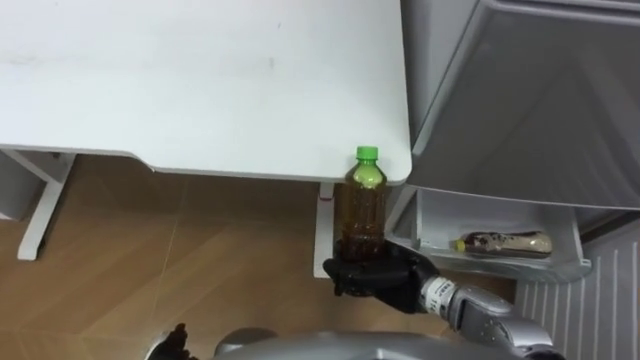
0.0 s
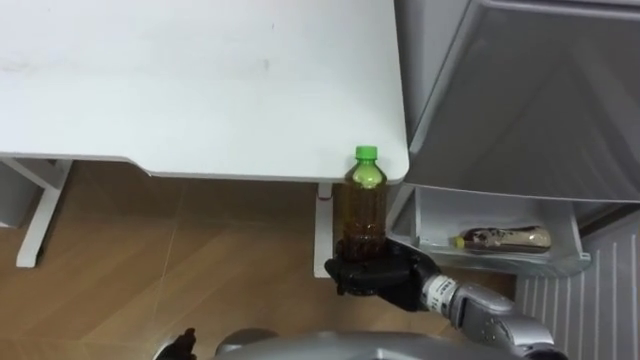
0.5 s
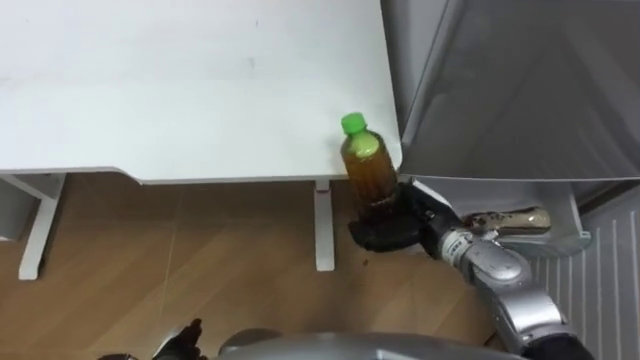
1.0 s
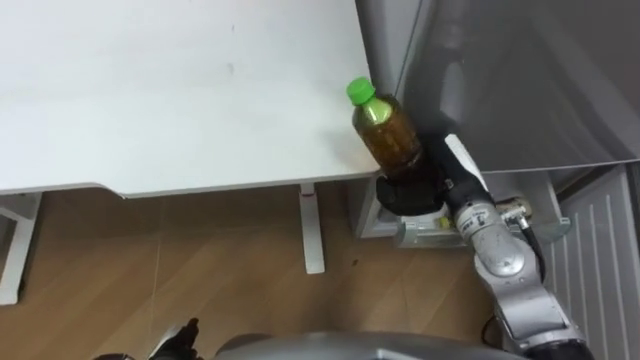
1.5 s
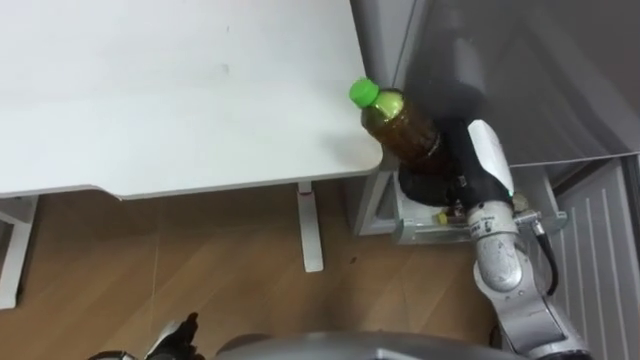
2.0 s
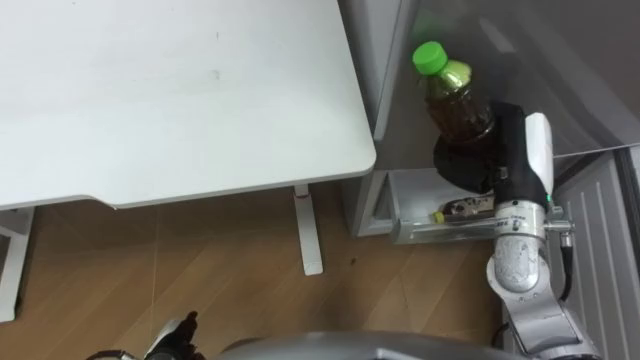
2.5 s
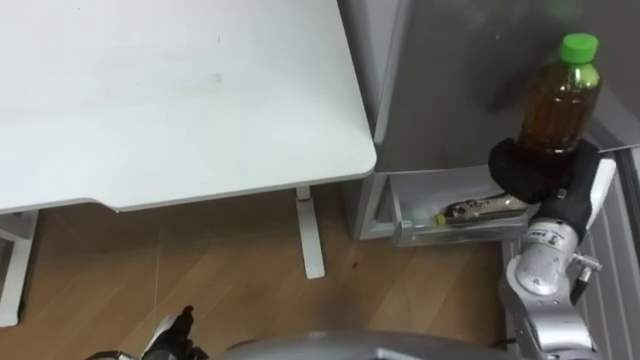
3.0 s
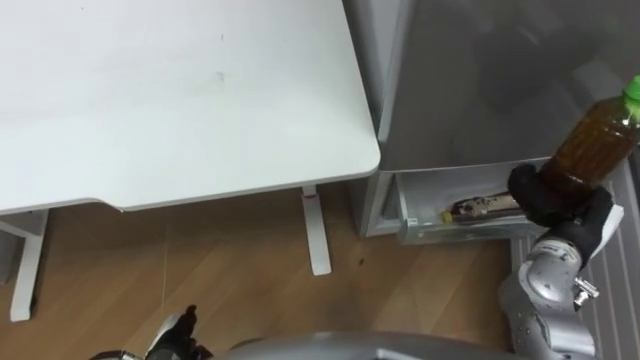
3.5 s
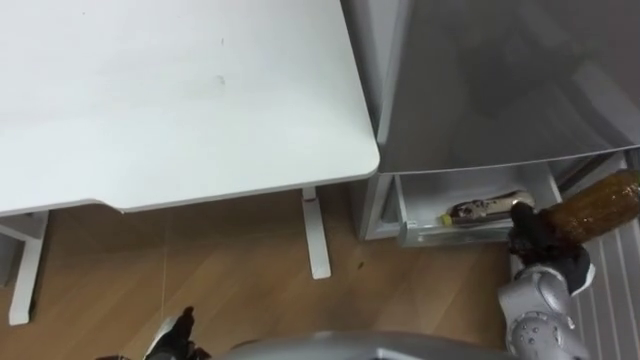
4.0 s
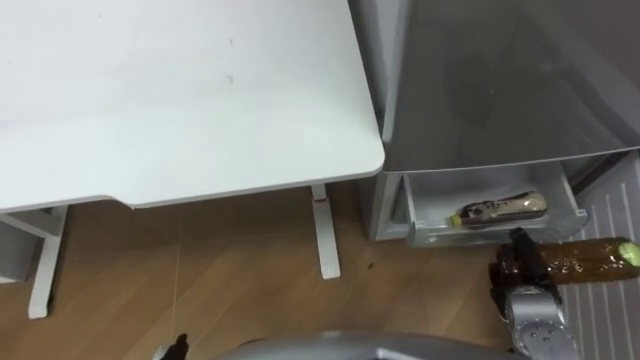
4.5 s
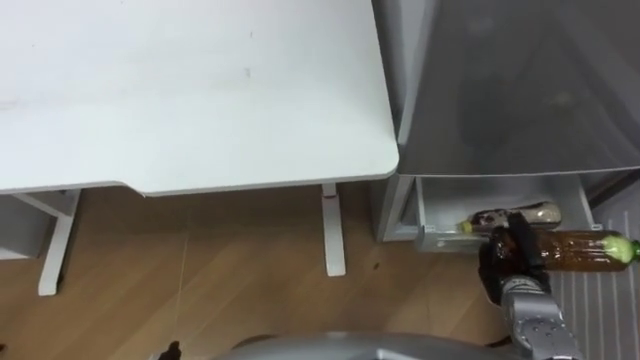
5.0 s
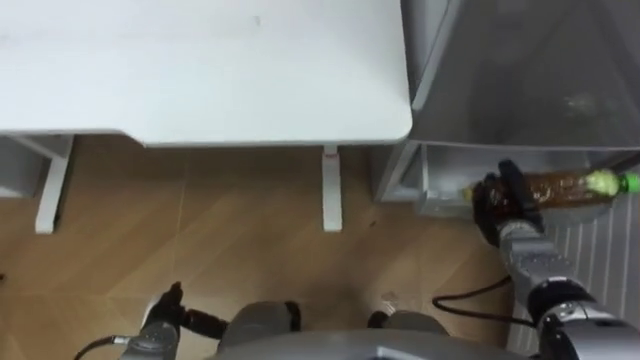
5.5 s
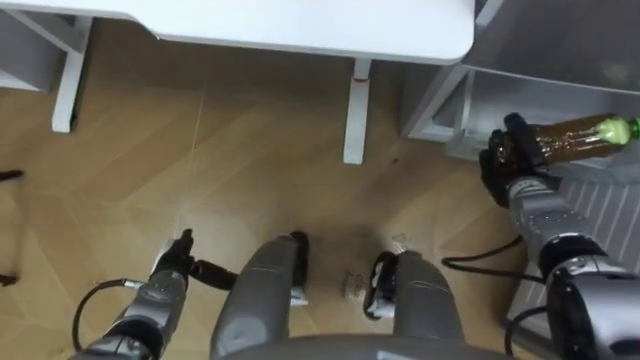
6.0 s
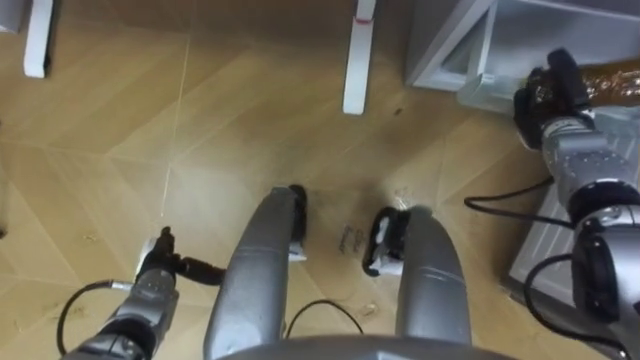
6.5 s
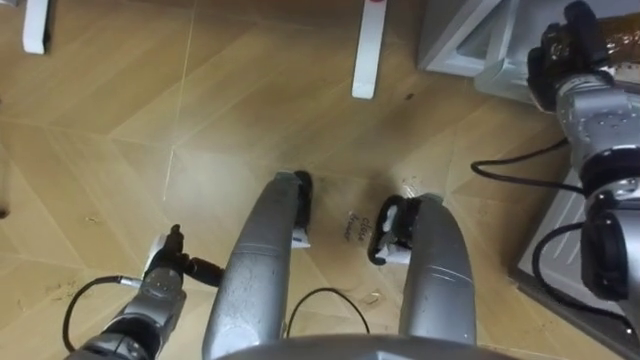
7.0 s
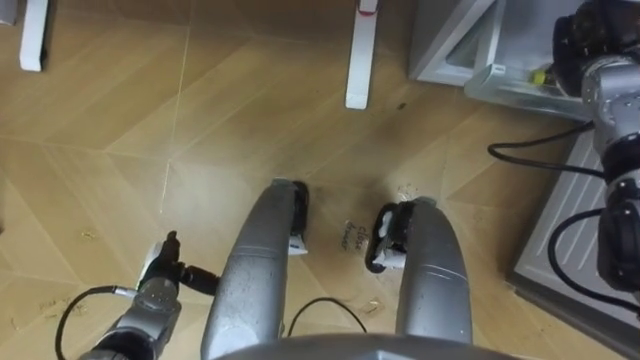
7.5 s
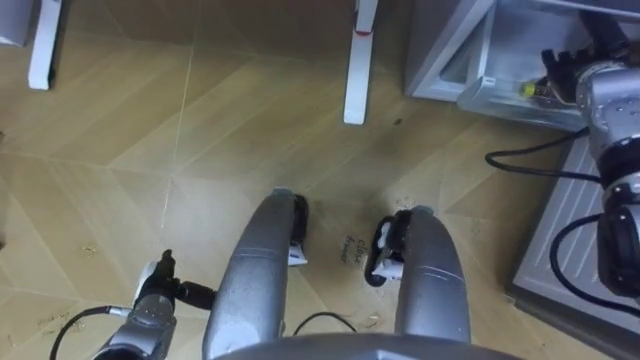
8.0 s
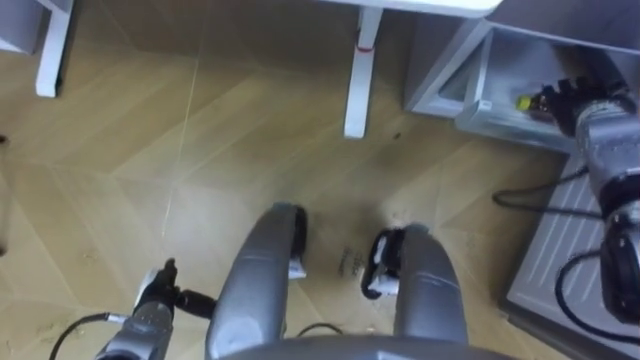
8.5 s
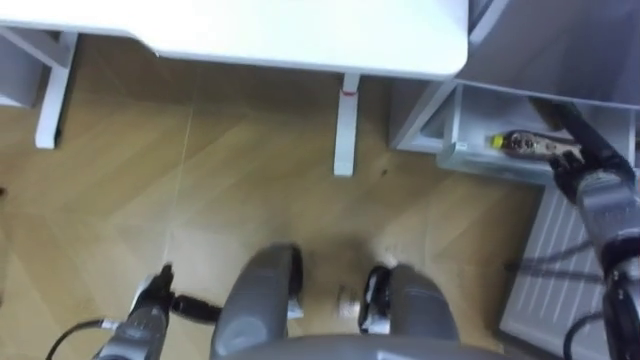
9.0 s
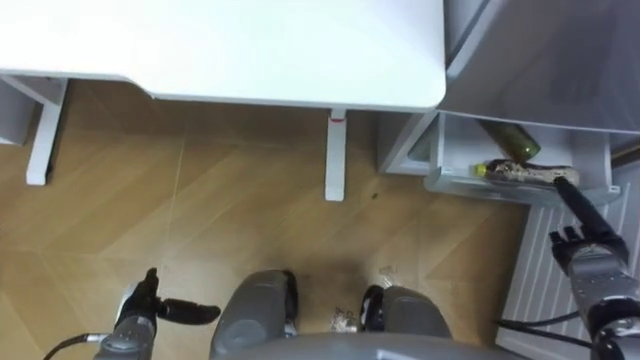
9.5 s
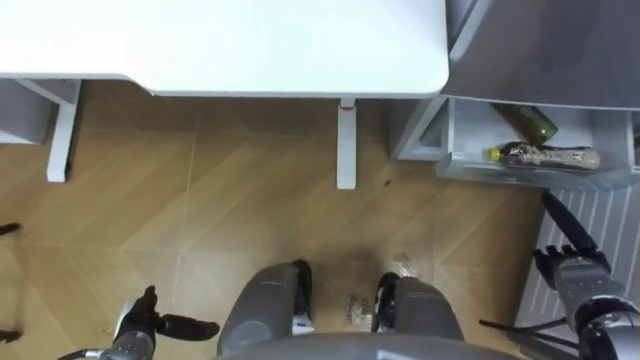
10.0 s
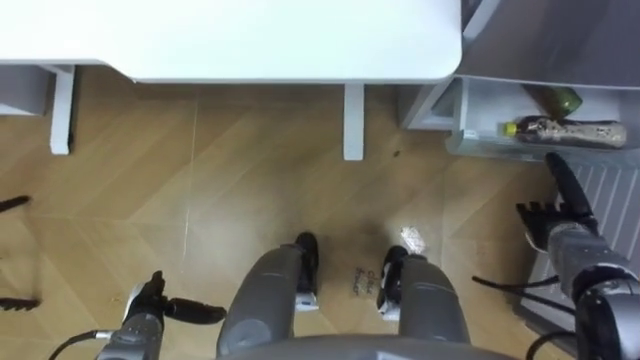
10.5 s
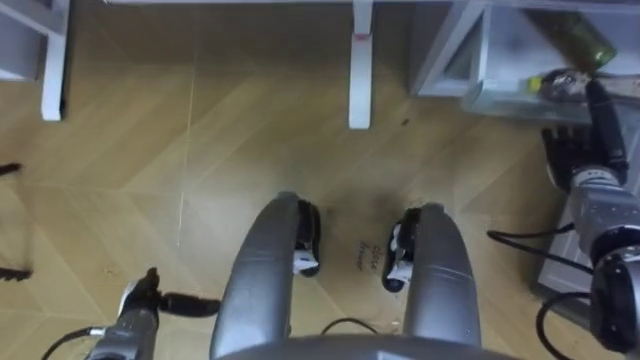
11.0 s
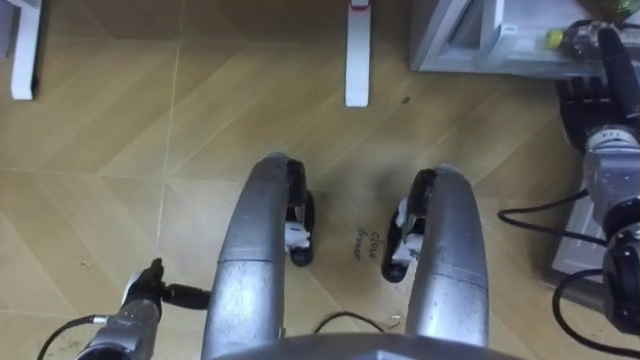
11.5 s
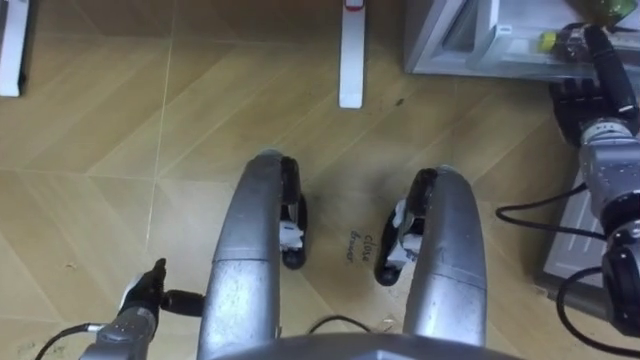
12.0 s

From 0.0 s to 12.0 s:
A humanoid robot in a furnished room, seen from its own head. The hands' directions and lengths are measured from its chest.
Task of the whole recording: Place the drink on the table on the bottom shelf of the refrigerator, then close the drawer and the refrigerator door.
From 0.0 s to 2.0 s: The right hand heads upward, forward and to the right, covering roughly 20 cm.
From 2.0 s to 4.0 s: The right hand heads to the right, backward and downward, covering approximately 20 cm.
From 4.0 s to 6.0 s: The right hand goes about 15 cm forward.
From 6.0 s to 8.0 s: The right hand heads upward and forward, covering some 15 cm, and opens.
From 8.0 s to 10.0 s: The right hand moves backward and downward, some 30 cm, while the left hand shifts approximately 5 cm backward.
From 10.0 s to 12.0 s: The right hand goes about 20 cm forward and upward.

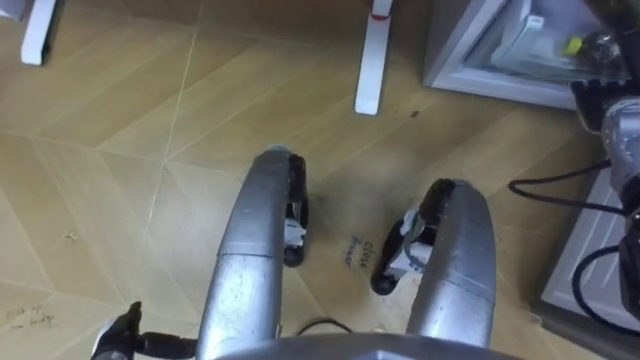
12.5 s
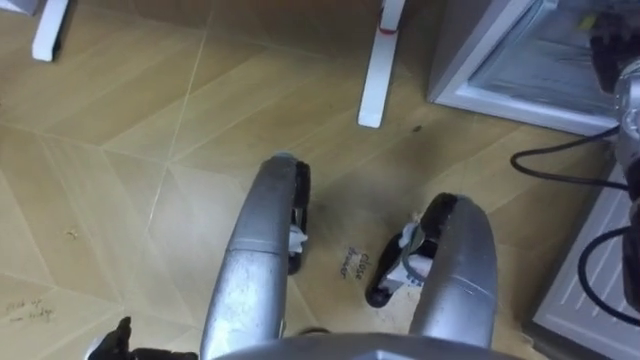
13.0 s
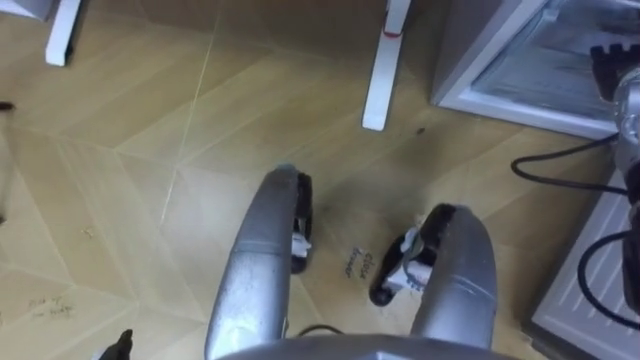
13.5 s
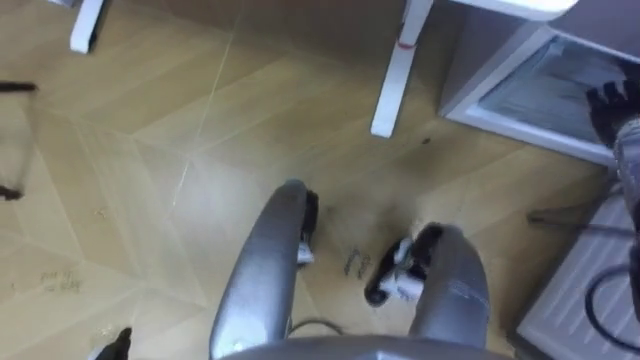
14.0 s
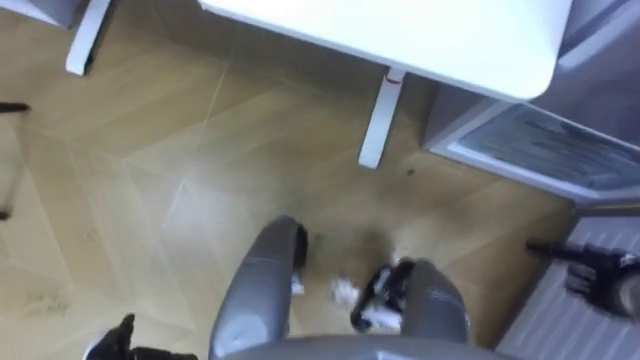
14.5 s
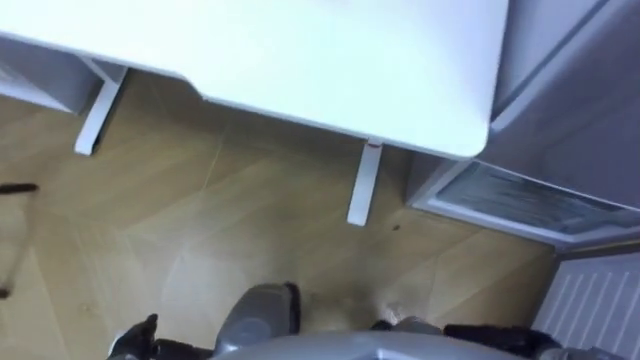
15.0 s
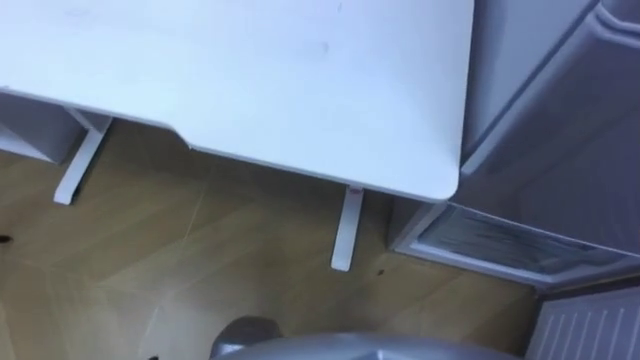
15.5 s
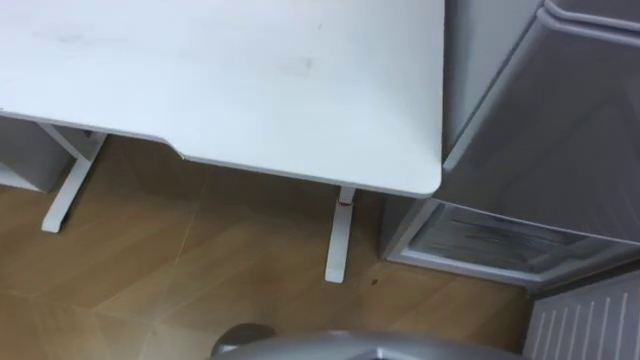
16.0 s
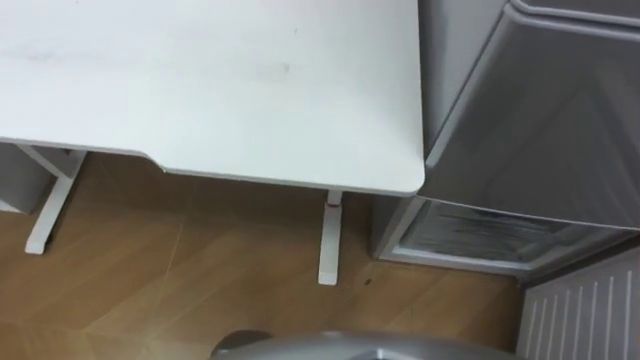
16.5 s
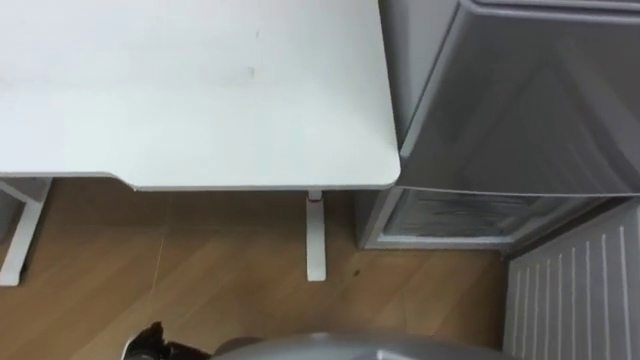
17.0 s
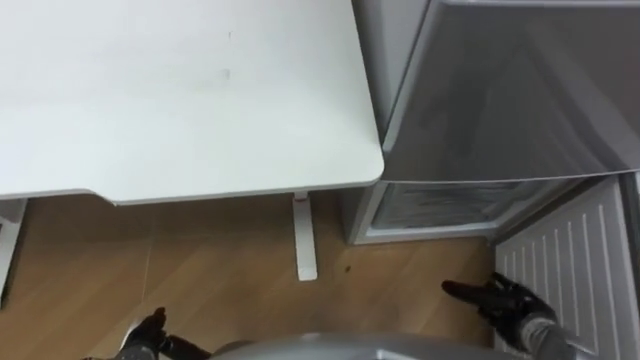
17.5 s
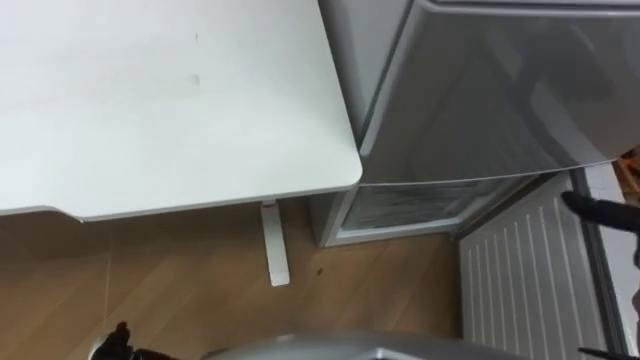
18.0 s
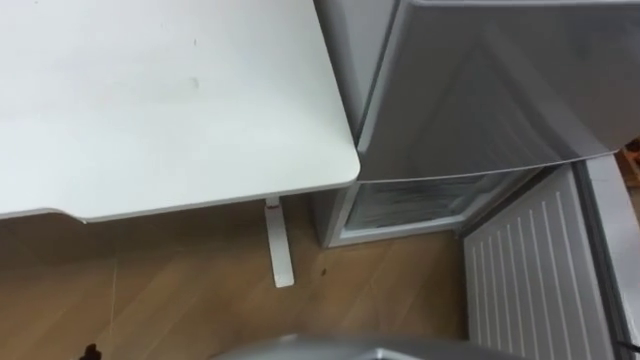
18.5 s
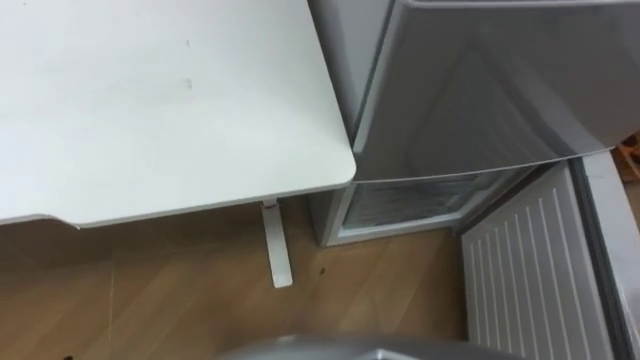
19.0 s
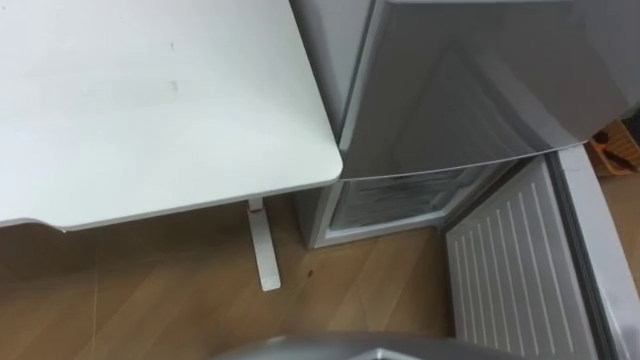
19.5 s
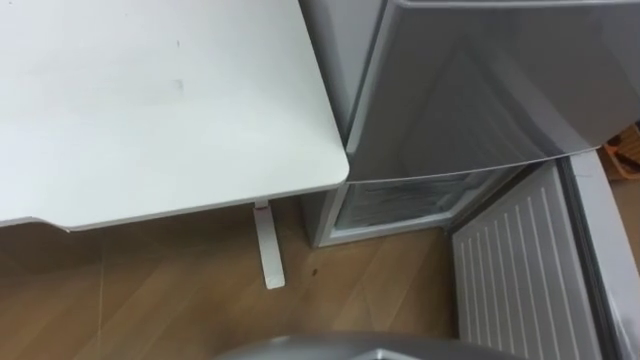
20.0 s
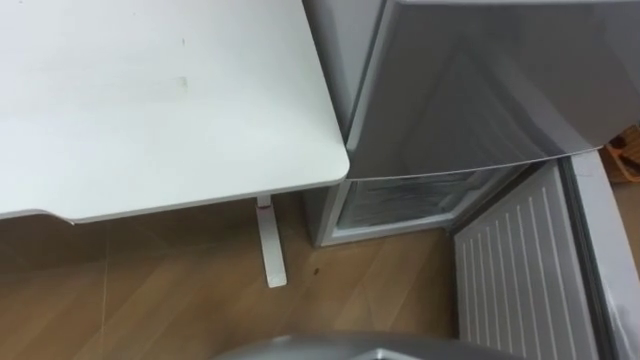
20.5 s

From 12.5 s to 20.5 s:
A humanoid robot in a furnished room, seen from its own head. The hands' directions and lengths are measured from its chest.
Task of the whole recording: Place the drink on the table on the bottom shelf of the refrigerator, then close the drawer and the refrigerator door.
From 12.5 s to 14.5 s: The right hand shifts some 25 cm backward and downward.
